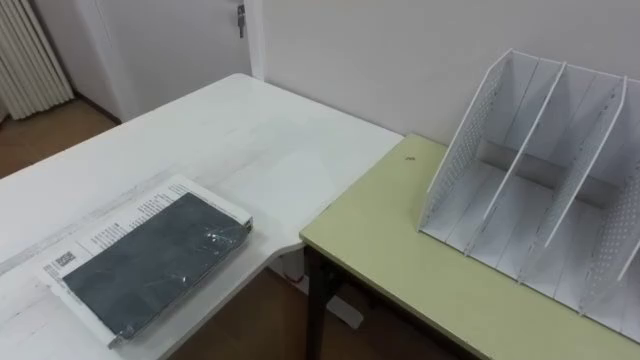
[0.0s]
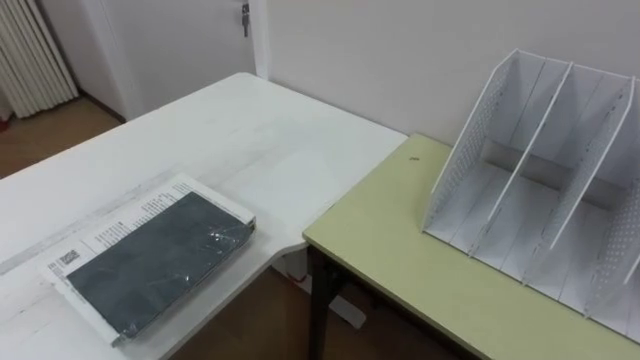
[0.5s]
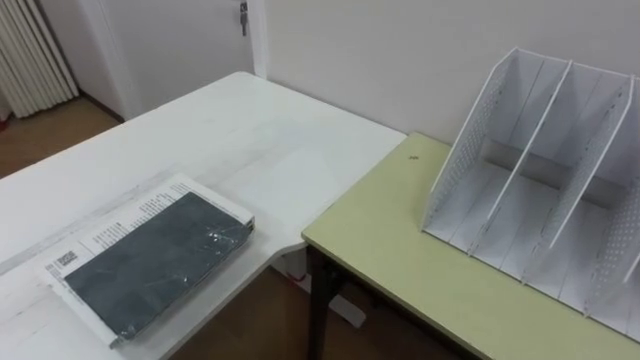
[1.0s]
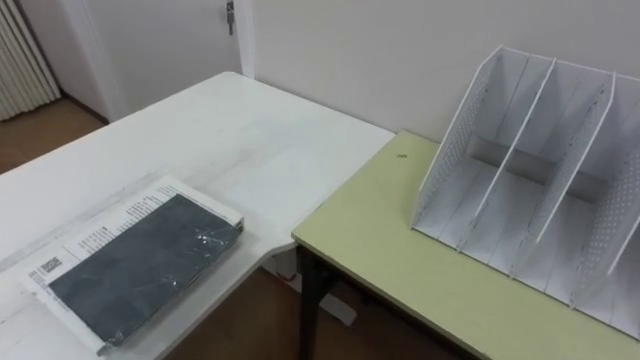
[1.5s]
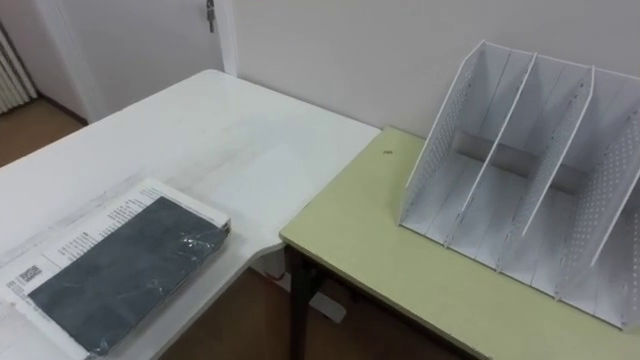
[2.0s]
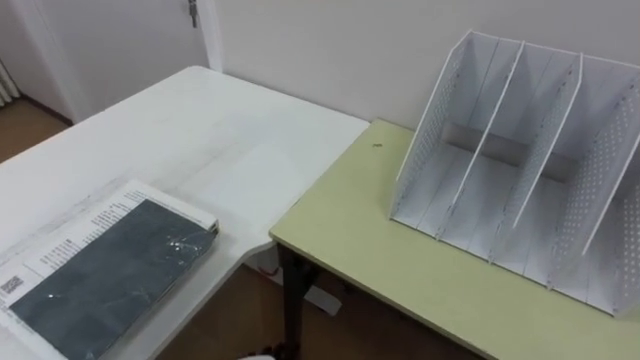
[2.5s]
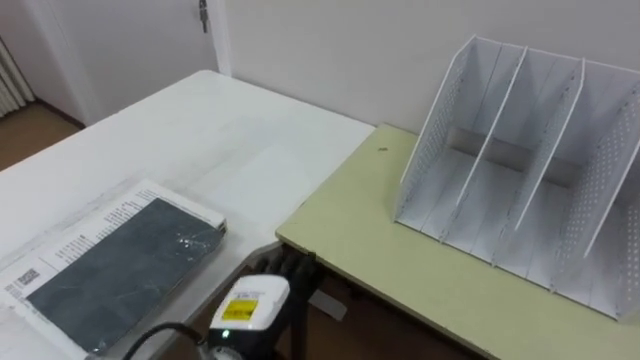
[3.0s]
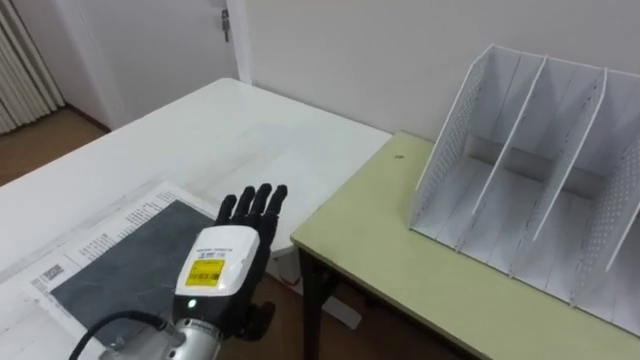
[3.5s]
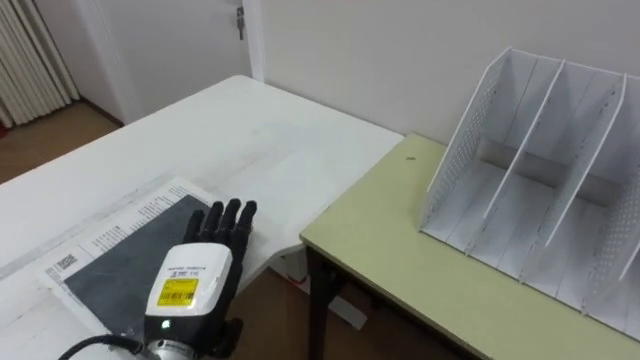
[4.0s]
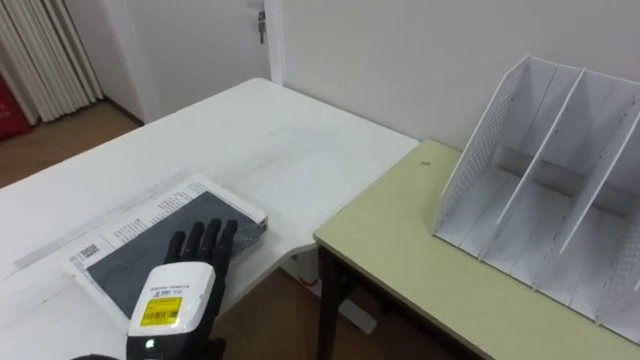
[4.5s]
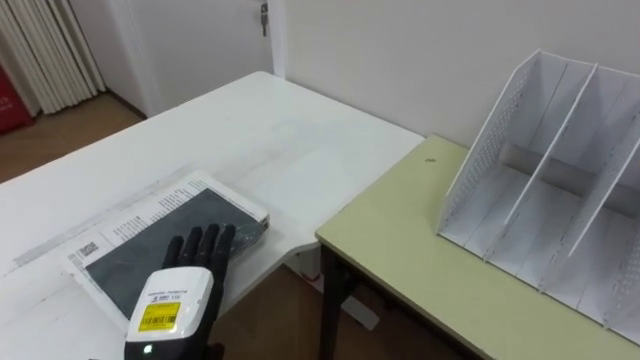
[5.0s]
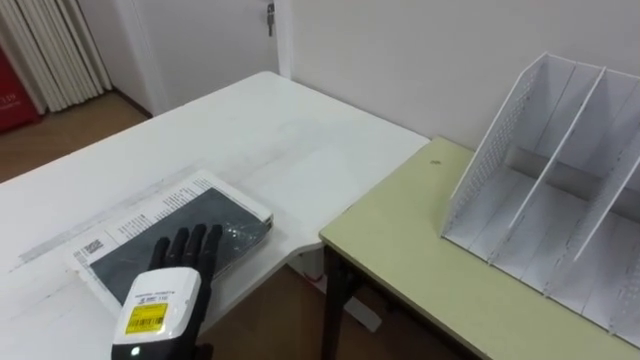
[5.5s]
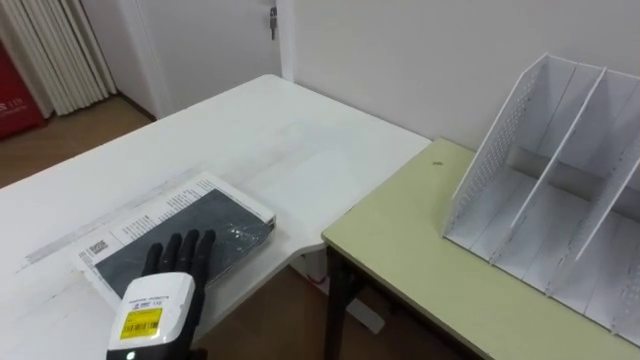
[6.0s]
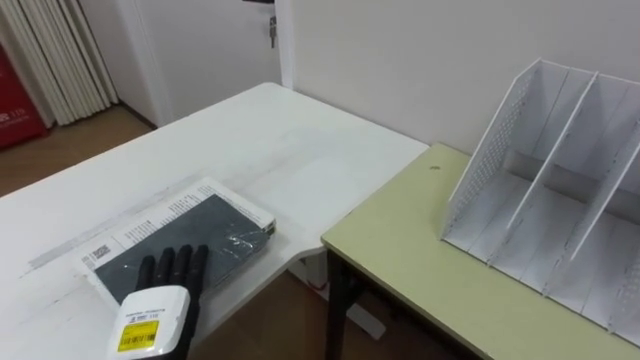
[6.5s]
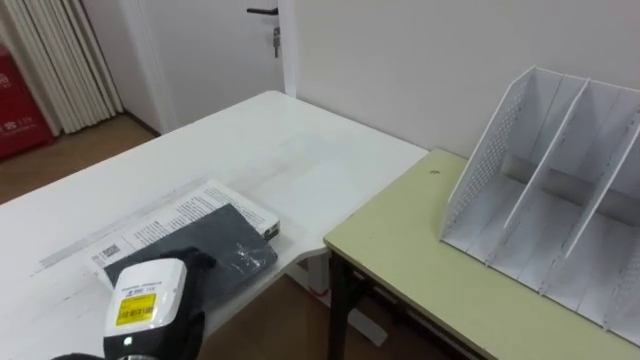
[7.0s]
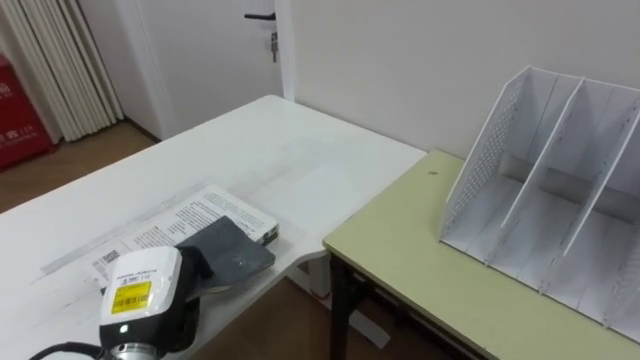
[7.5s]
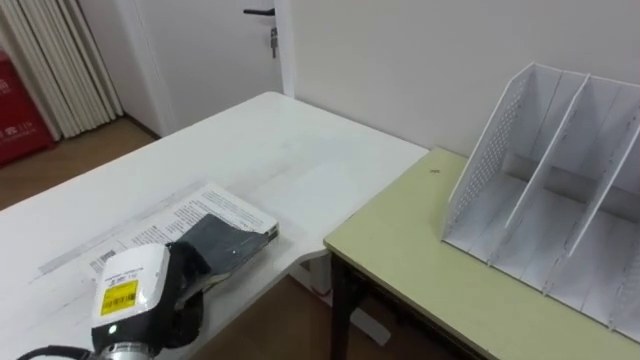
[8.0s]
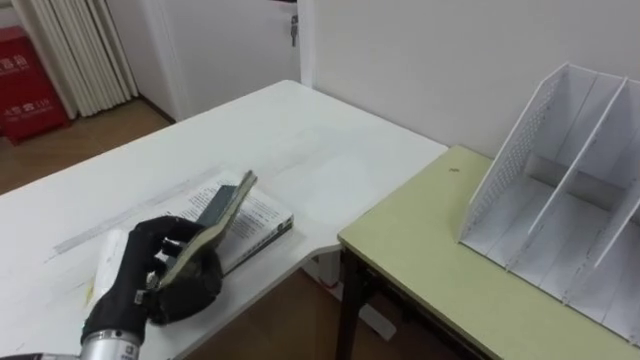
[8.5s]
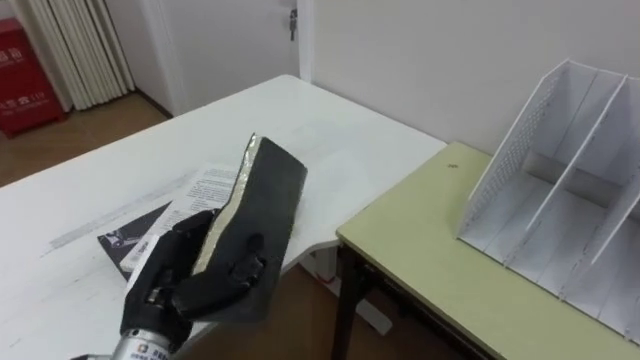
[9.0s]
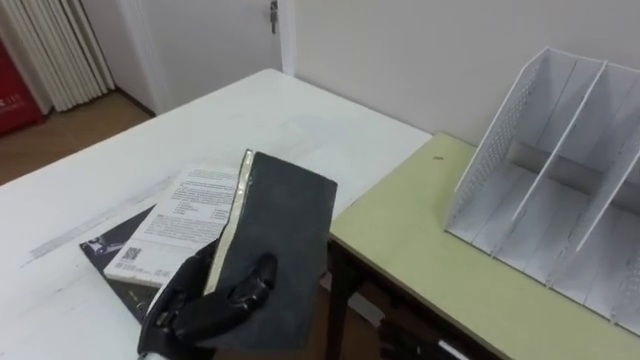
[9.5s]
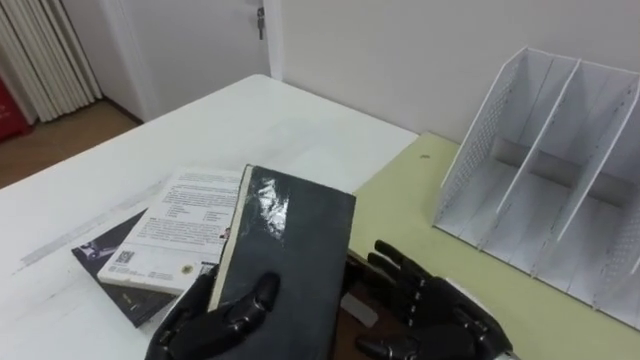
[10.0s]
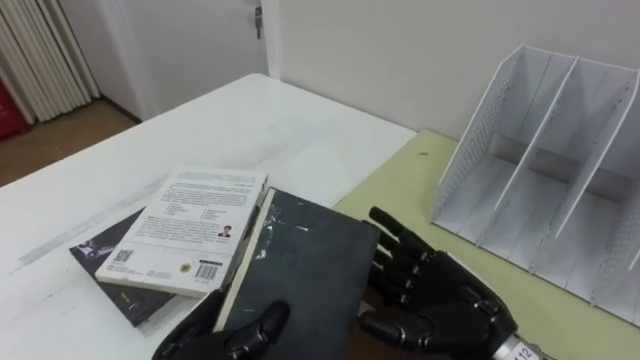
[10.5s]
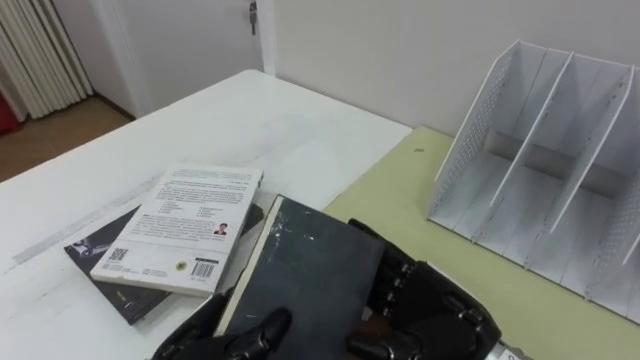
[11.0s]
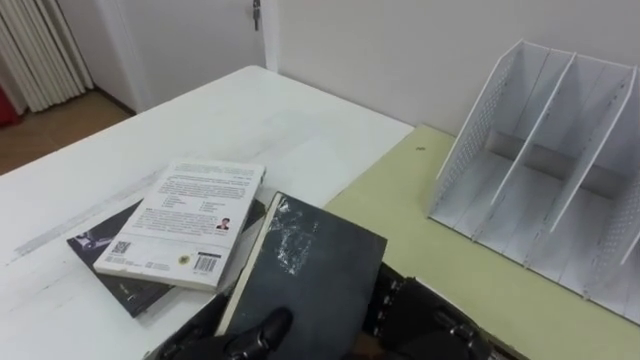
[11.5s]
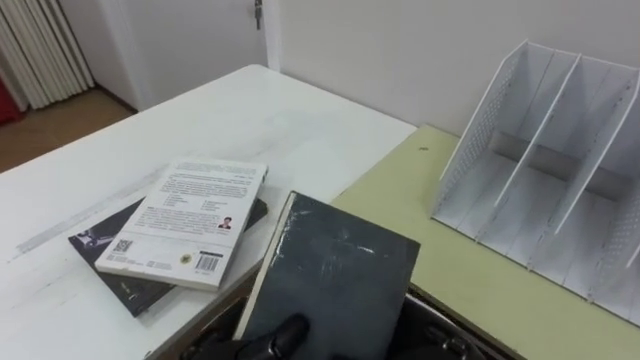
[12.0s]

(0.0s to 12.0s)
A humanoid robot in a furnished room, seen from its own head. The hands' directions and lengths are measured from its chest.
Task of the whole recording: Put the books on the table onto the bookshelf.
4.0s - 6.0s: The left hand shifts by approximately 5 cm.
6.0s - 8.0s: The left hand closes up.
8.0s - 10.0s: The left hand moves to the right, approximately 5 cm.
10.0s - 12.0s: The right hand shifts approximately 5 cm to the left.

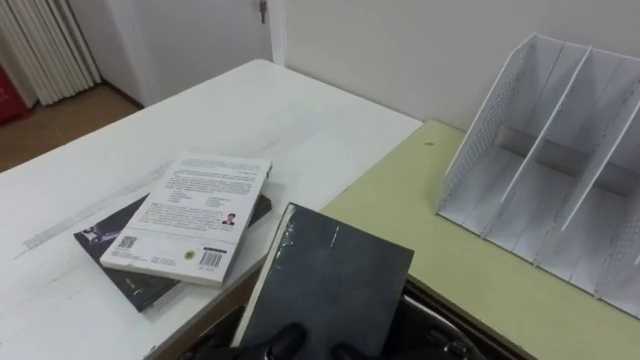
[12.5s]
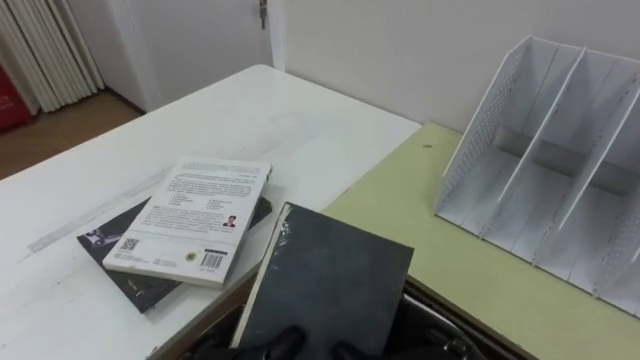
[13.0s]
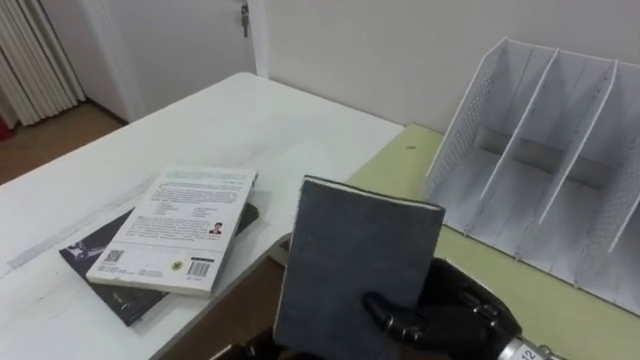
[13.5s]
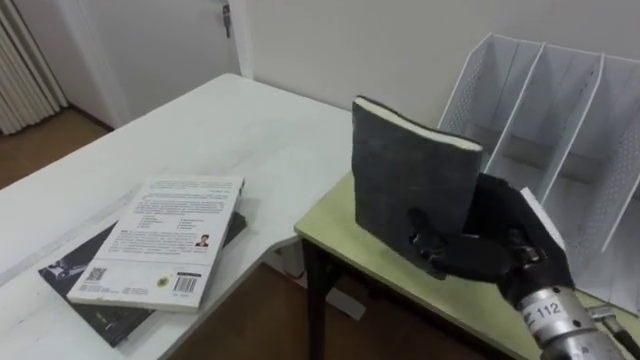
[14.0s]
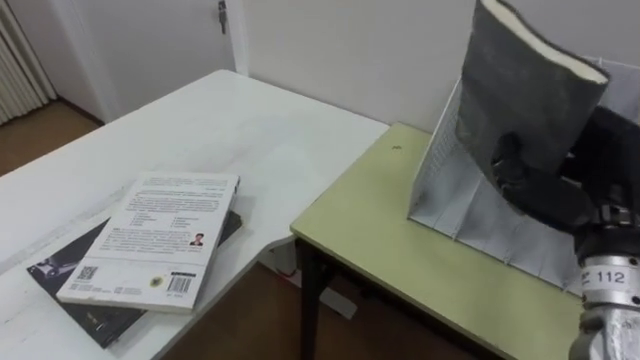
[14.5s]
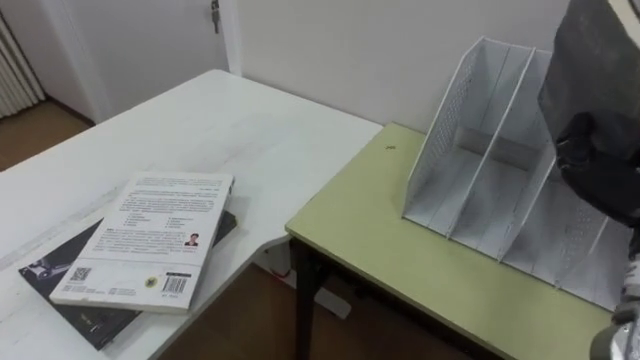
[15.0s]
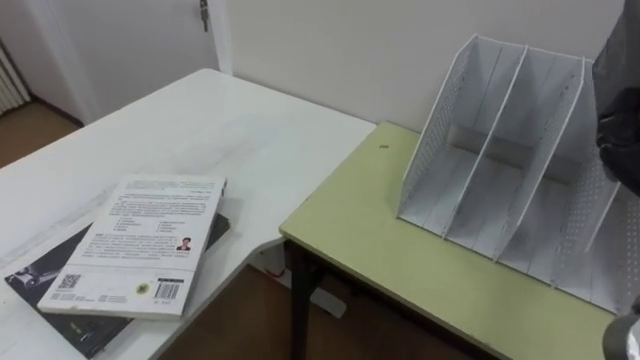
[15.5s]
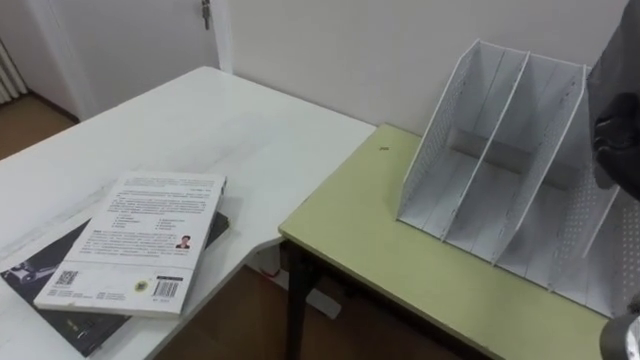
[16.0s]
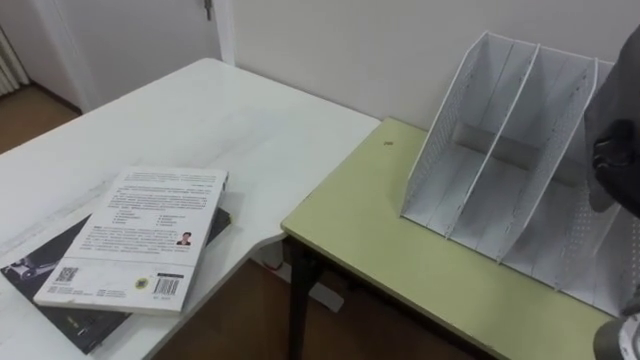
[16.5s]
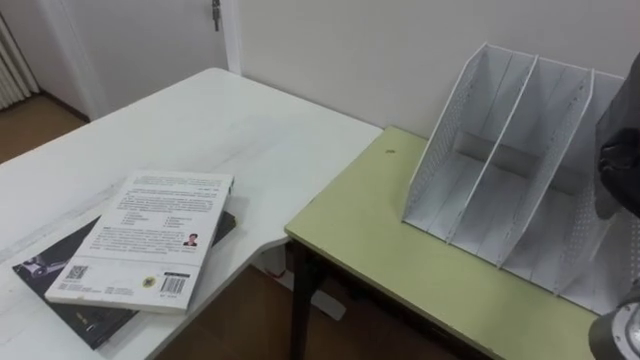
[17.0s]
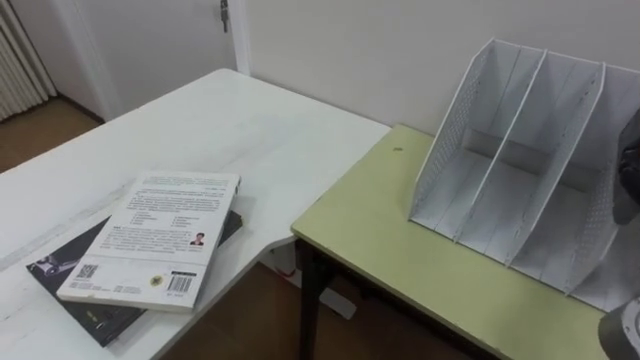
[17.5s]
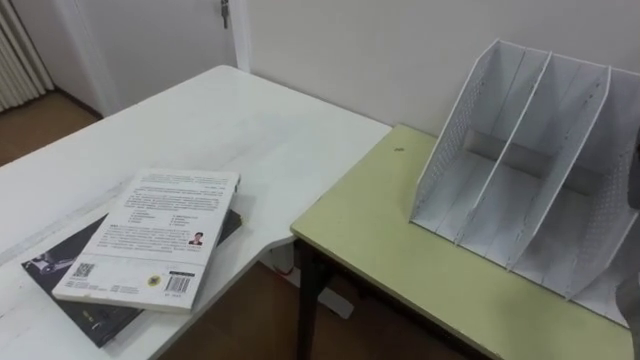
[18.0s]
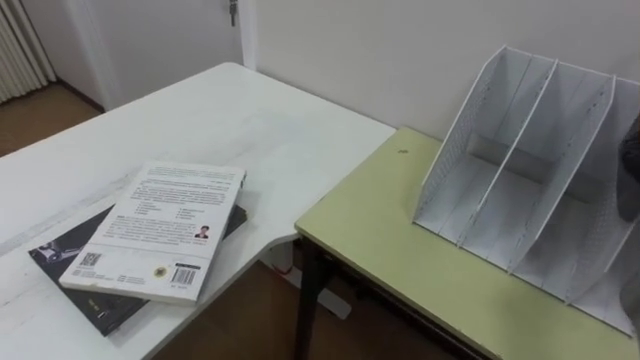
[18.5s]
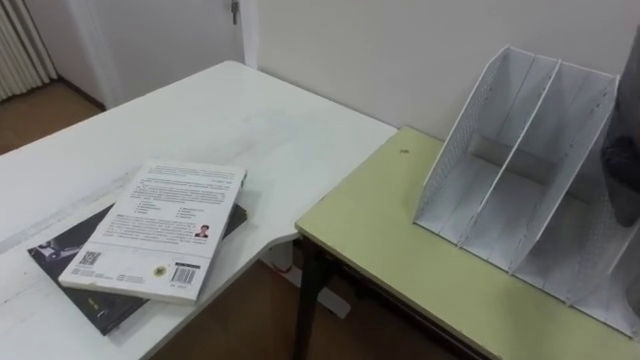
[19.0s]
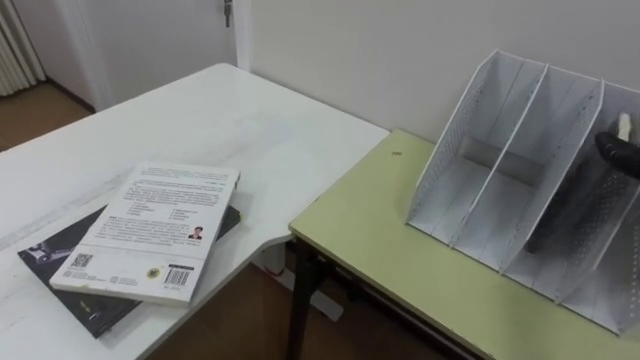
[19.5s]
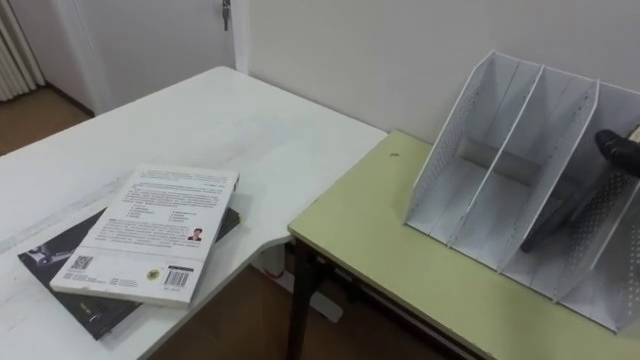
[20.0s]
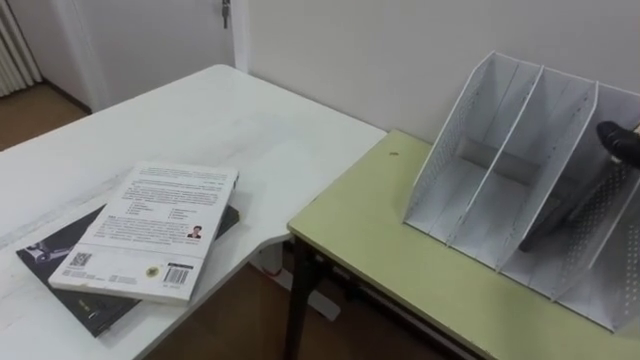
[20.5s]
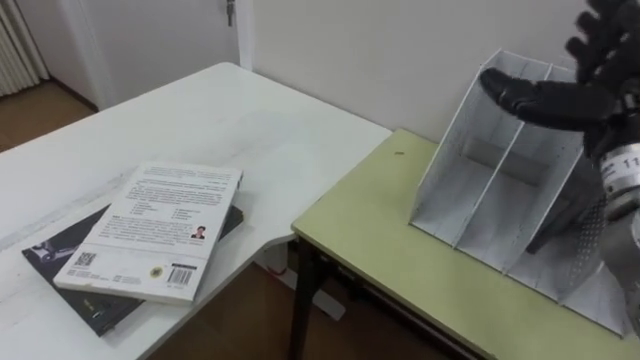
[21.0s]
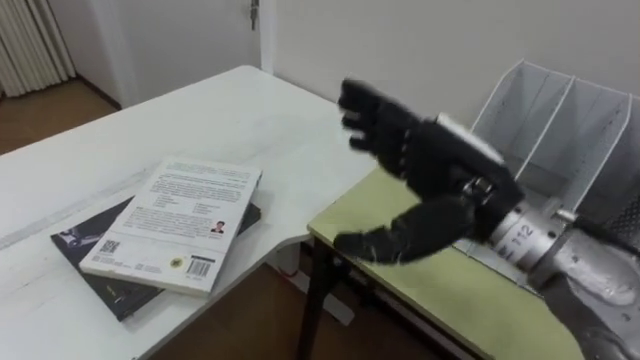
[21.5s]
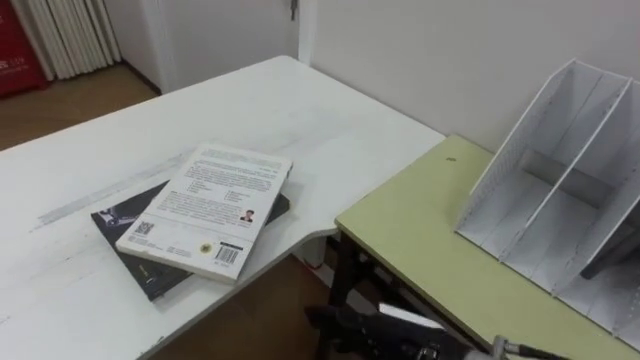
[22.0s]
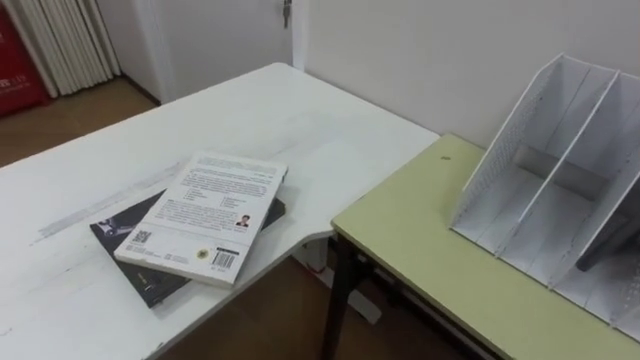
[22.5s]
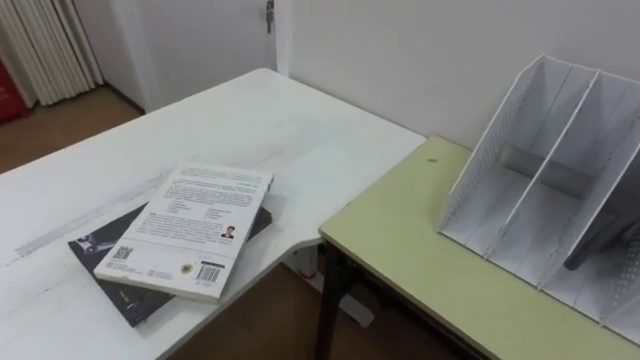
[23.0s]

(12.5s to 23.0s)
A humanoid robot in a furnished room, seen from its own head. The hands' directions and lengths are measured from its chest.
Task of the whole recording: Put the books on the table onto the bookshelf.
12.5s - 14.5s: The right hand goes some 20 cm to the right, upward and forward.
